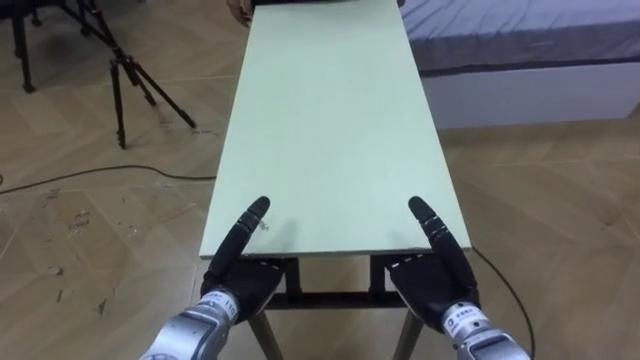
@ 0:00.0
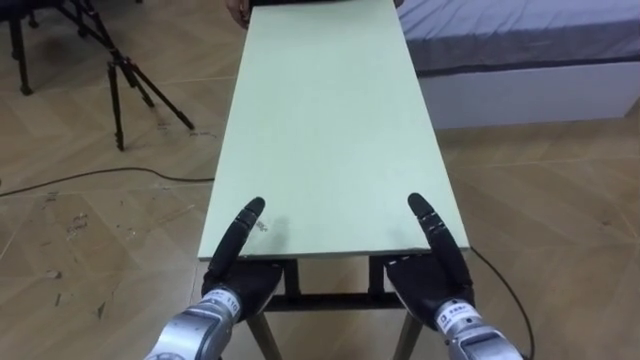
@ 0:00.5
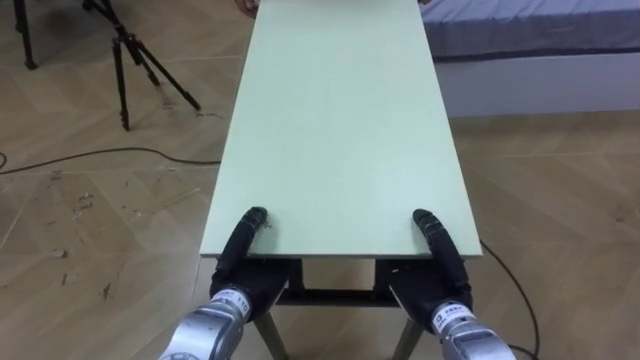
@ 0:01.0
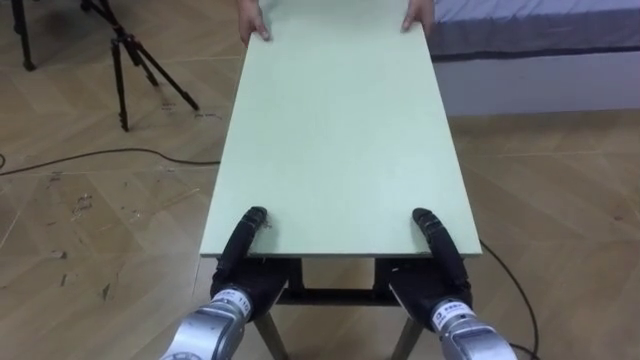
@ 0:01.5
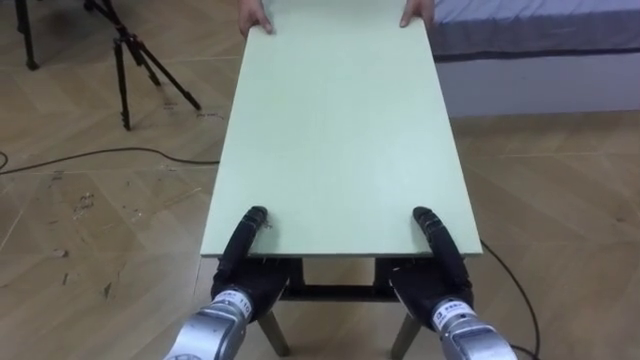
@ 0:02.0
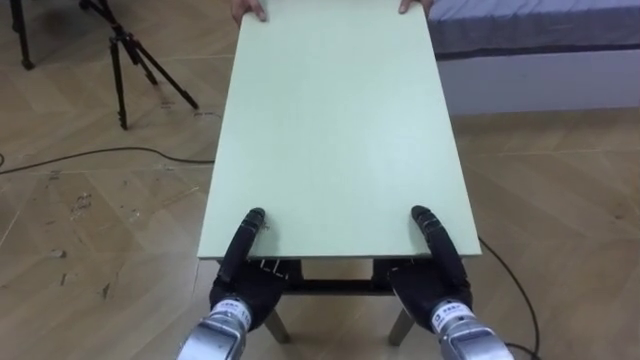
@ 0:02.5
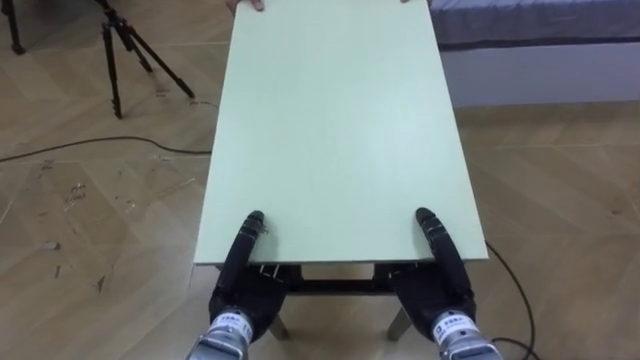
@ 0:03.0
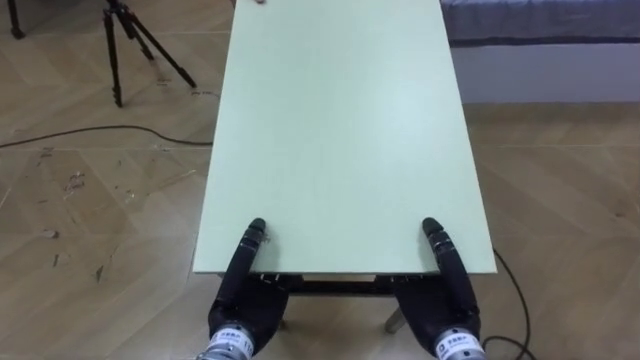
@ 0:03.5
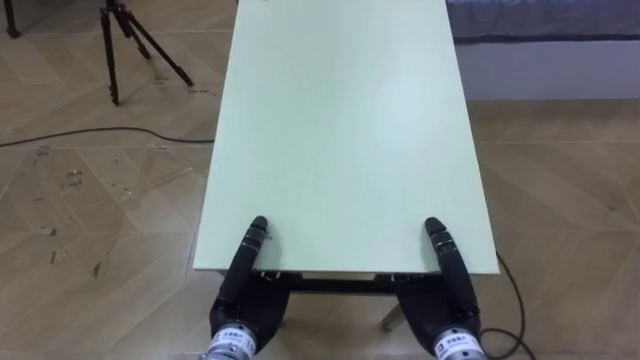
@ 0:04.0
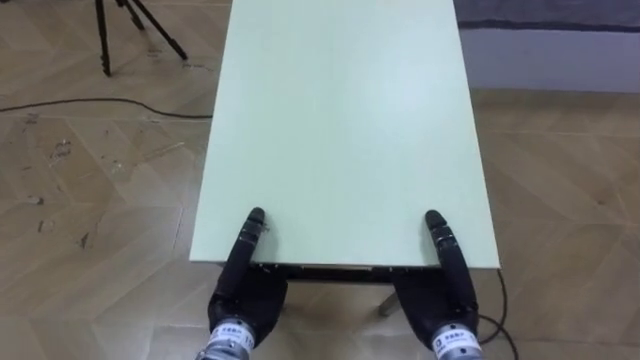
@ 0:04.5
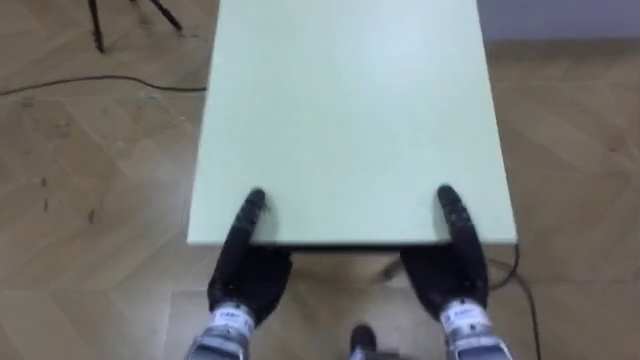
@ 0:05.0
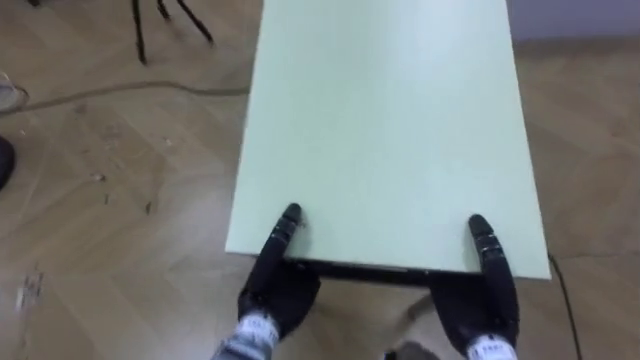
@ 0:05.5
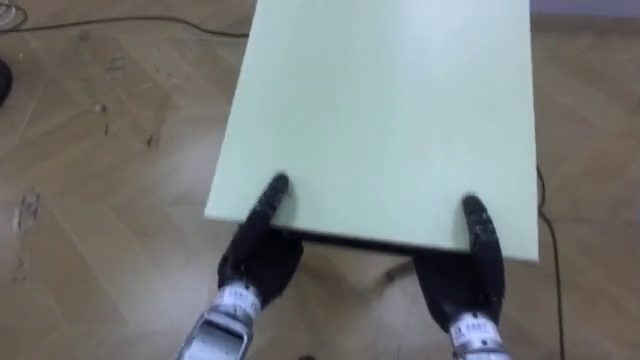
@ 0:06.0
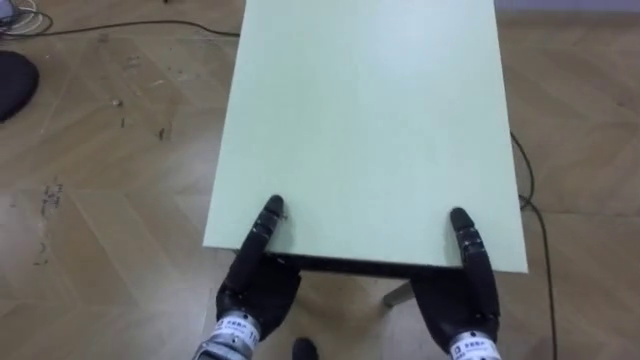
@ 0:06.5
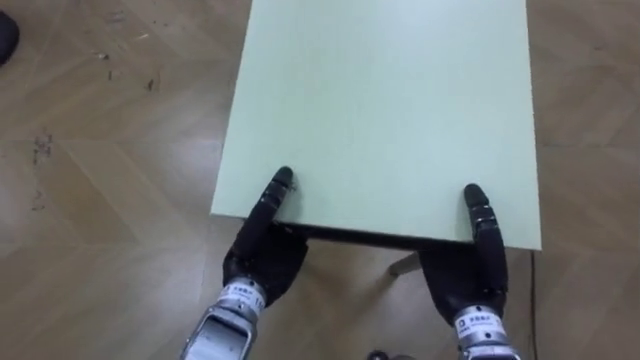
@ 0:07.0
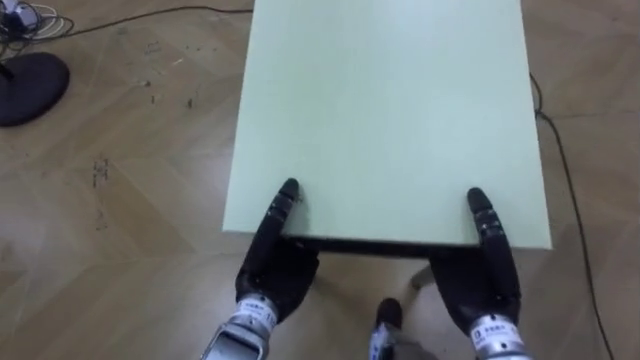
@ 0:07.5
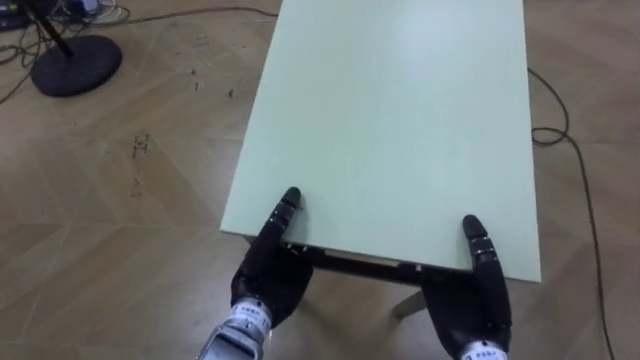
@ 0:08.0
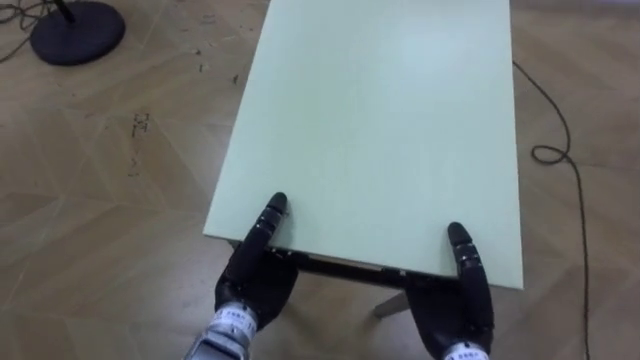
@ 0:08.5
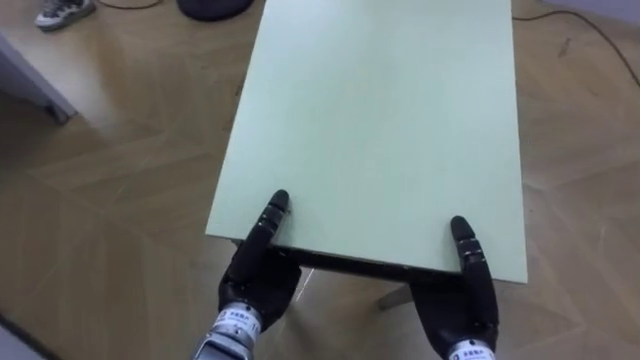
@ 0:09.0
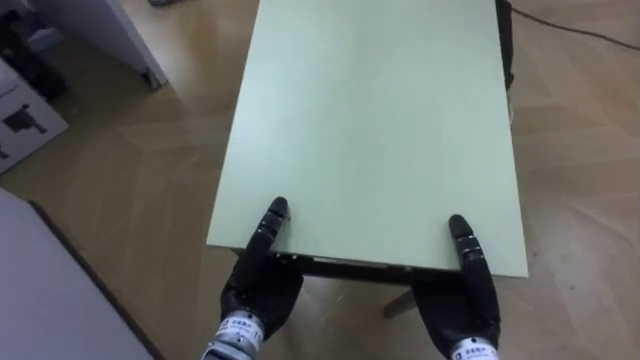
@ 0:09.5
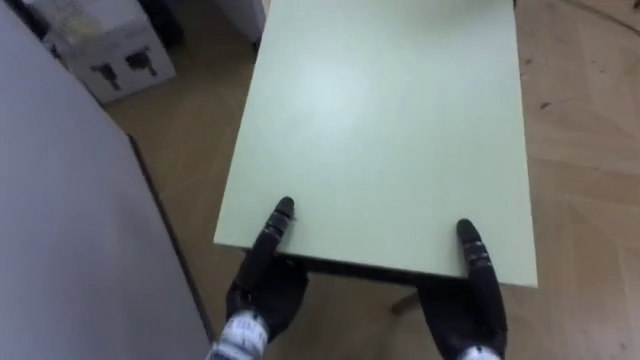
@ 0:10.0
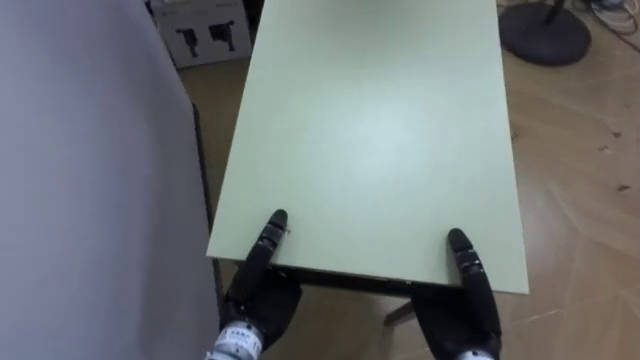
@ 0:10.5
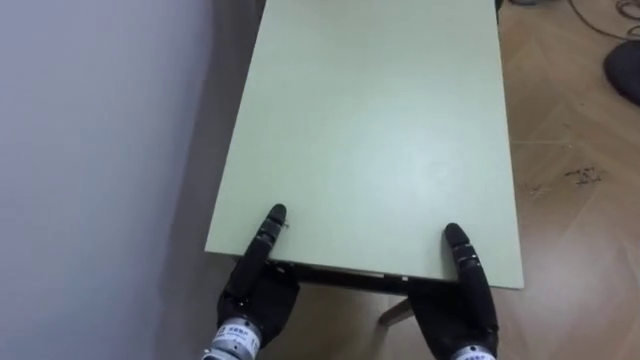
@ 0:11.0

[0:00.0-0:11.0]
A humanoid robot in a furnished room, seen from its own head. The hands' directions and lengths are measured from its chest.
Task of the whole recording: Move the table to the back left with someone.
0:00.0 to 0:02.0: The left hand closes. The right hand closes its fingers.
0:07.5 to 0:09.0: The robot faces some 25 degrees further to its left.
0:09.0 to 0:11.0: The robot rotates about 60 degrees to its left.

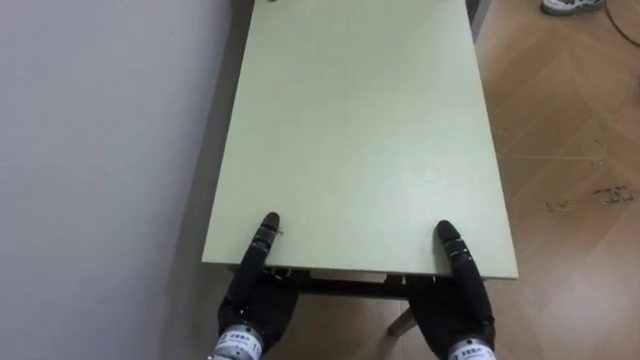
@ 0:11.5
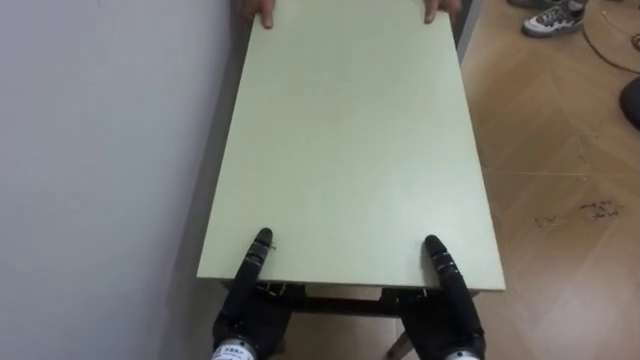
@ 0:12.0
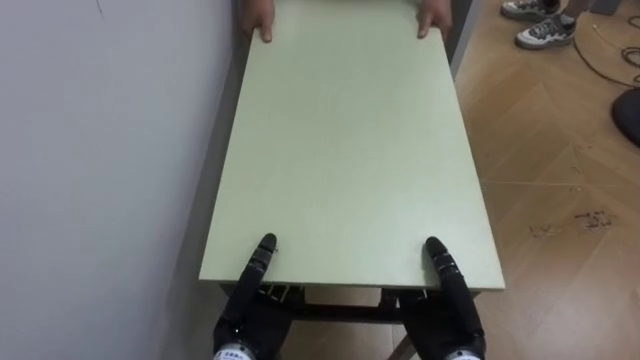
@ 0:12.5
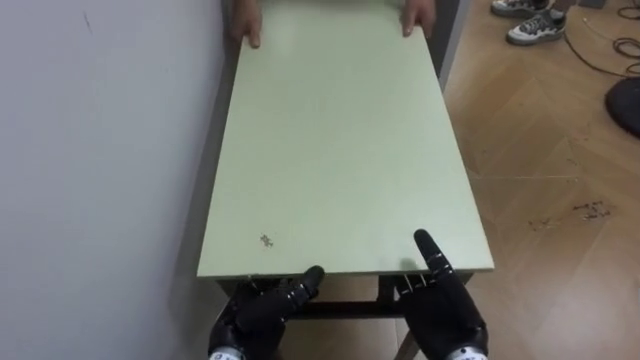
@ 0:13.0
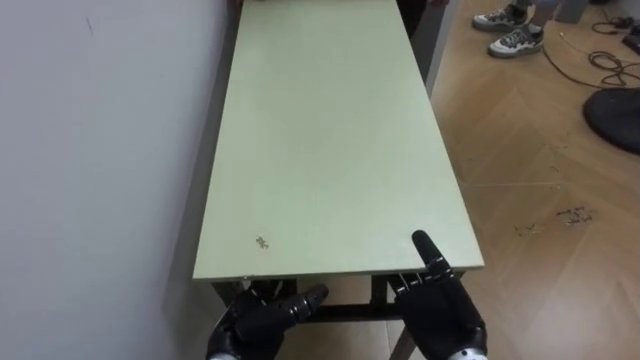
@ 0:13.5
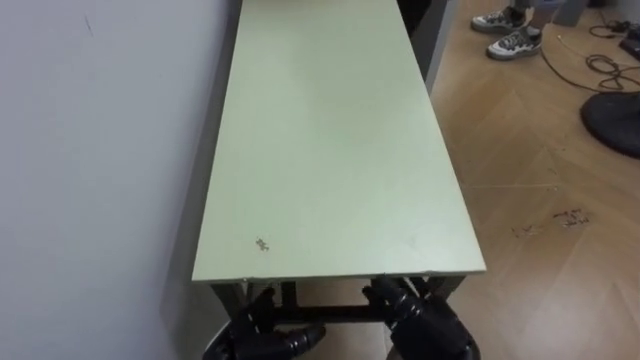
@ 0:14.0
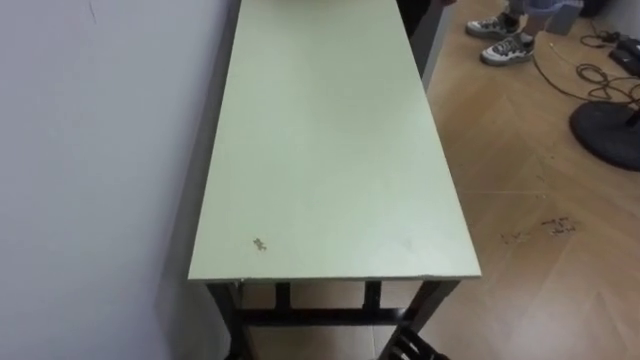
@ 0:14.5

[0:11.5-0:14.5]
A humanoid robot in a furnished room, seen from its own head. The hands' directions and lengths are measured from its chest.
Task of the whole recording: Move the table to the back left with someone.
0:11.5 to 0:13.0: The right hand opens up. Meanwhile the left hand opens.

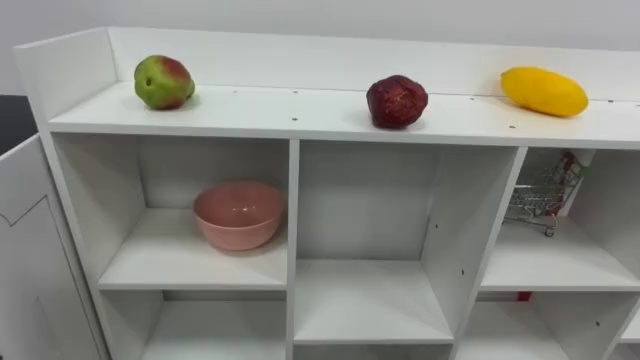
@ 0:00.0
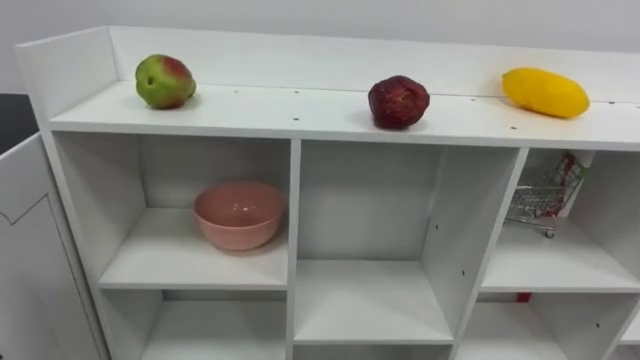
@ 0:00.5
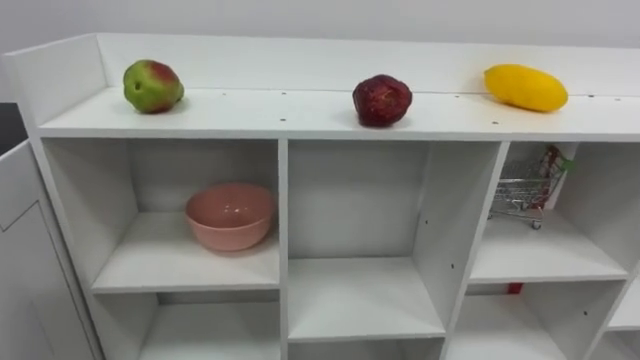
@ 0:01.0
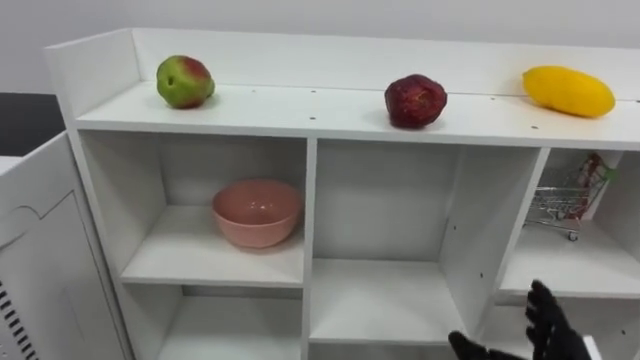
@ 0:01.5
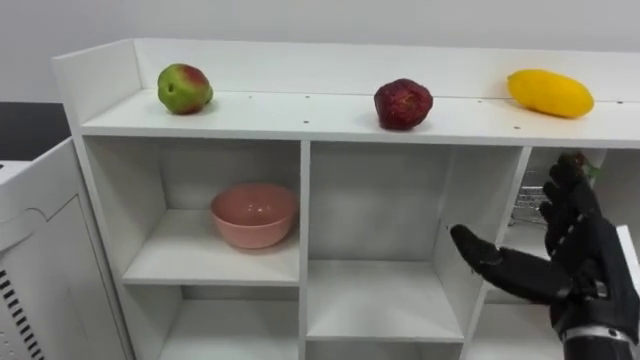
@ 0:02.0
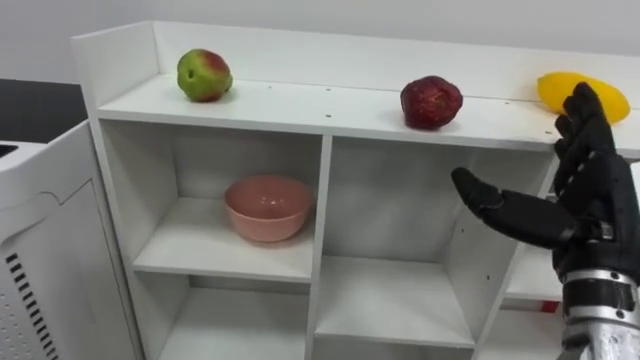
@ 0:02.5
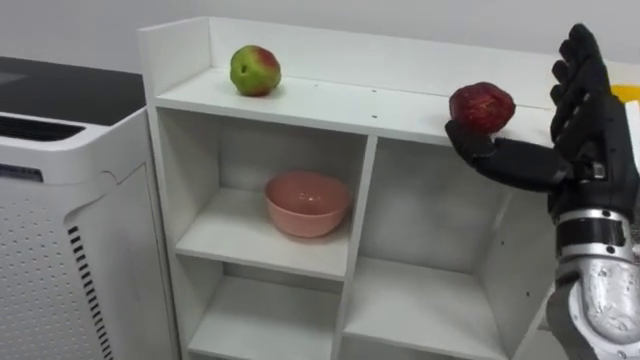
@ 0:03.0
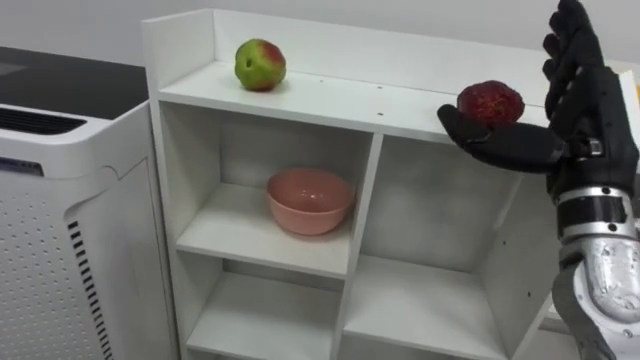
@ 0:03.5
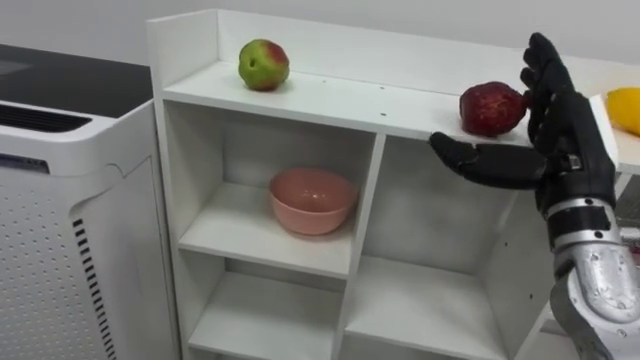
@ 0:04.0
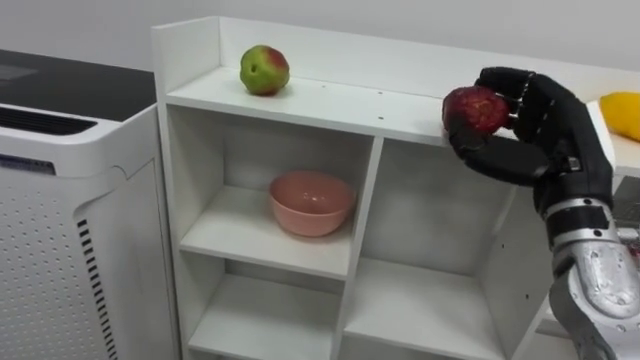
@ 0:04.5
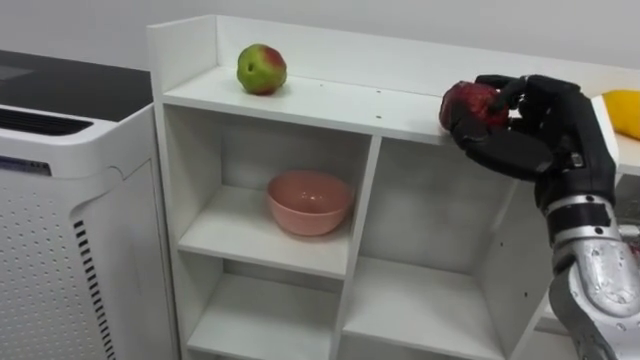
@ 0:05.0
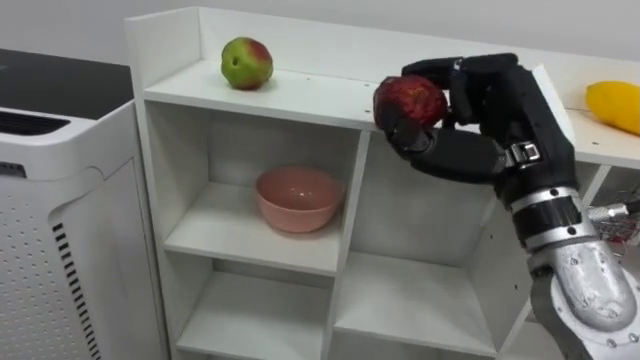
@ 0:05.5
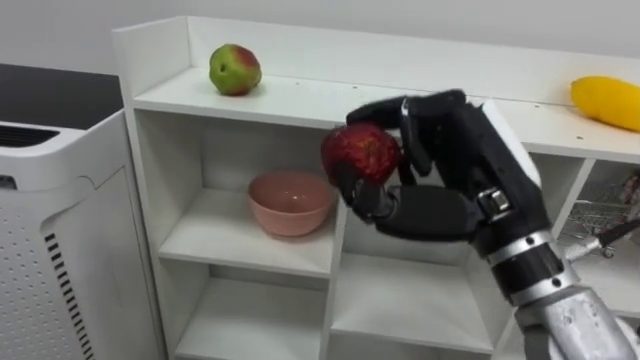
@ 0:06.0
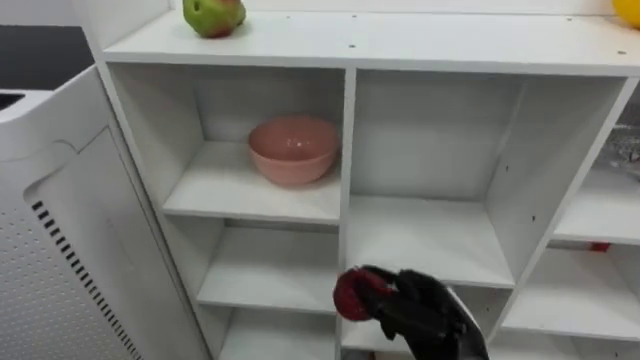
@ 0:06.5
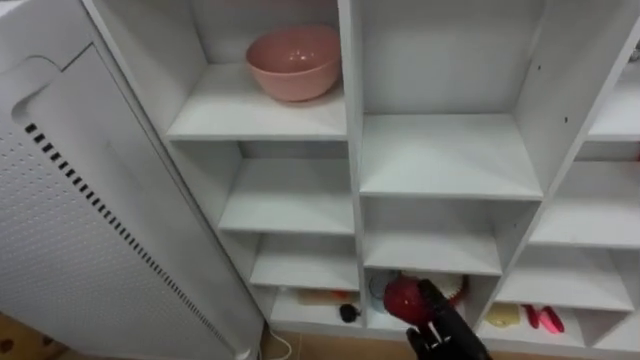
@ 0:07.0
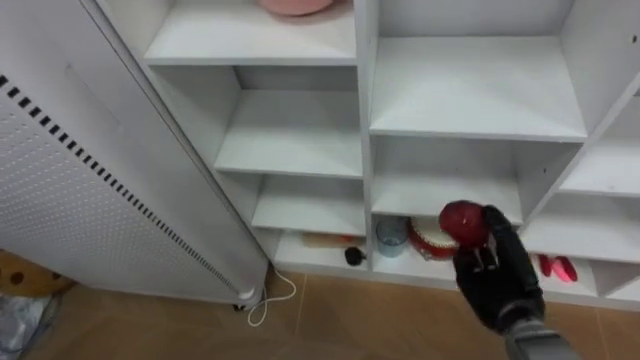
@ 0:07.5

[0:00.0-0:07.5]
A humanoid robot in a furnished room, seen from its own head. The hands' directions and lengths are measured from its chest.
Task of the whole recording: Put the apple in the cell in the second column from the left and the second row from the top.
0:02.0 to 0:04.0: The right hand shifts some 10 cm upward and forward.
0:04.0 to 0:05.5: The right hand travels to the left by some 5 cm, and closes its fingers.
